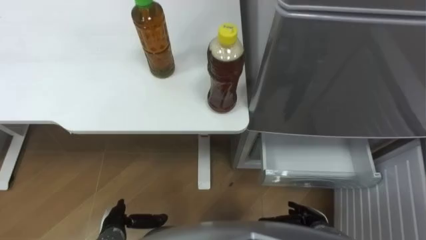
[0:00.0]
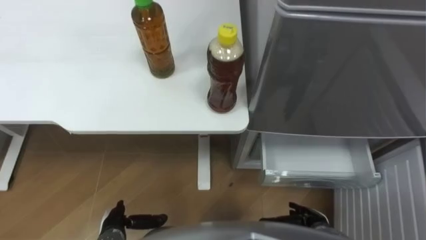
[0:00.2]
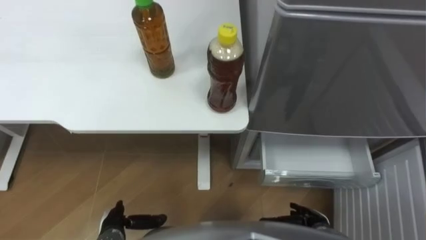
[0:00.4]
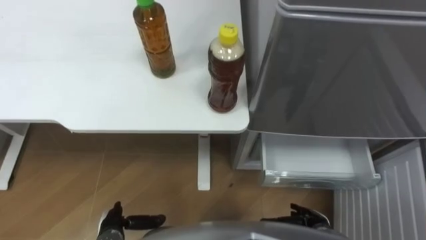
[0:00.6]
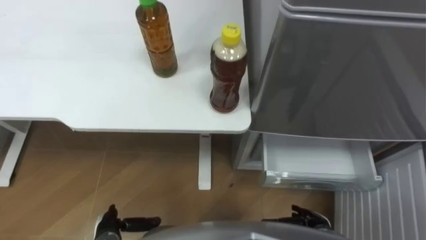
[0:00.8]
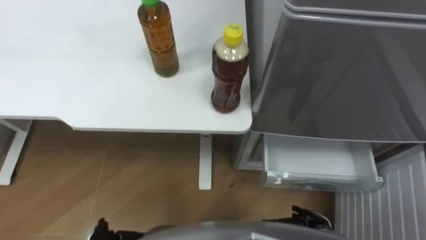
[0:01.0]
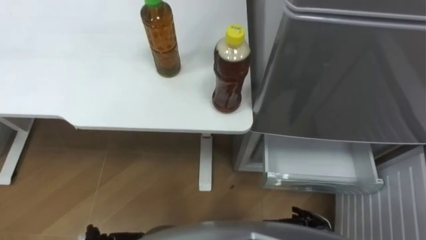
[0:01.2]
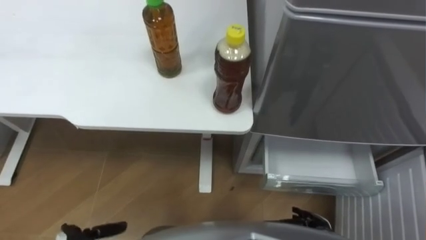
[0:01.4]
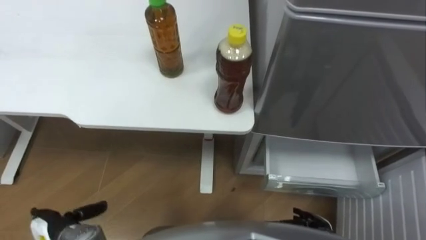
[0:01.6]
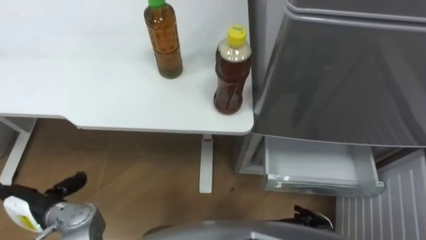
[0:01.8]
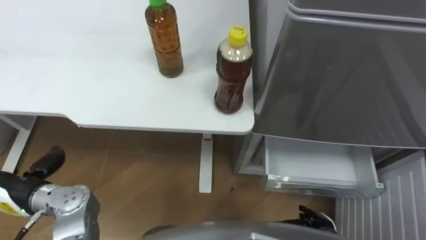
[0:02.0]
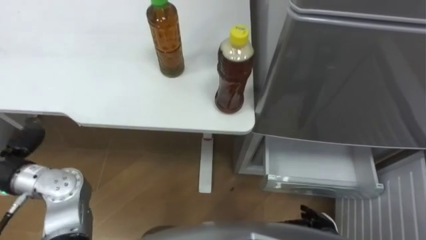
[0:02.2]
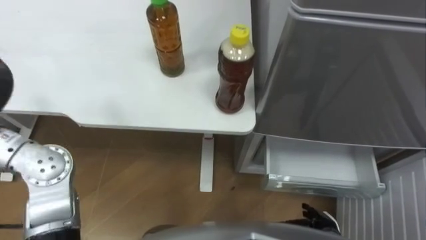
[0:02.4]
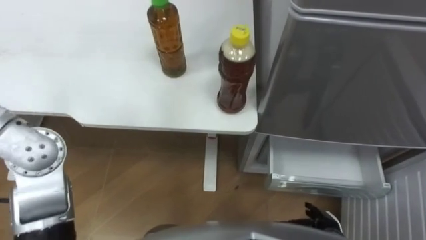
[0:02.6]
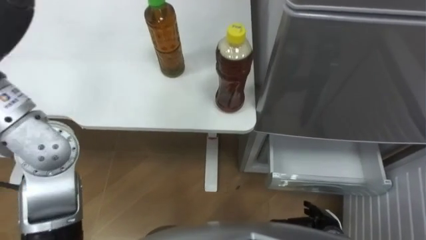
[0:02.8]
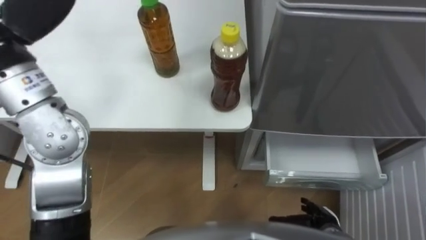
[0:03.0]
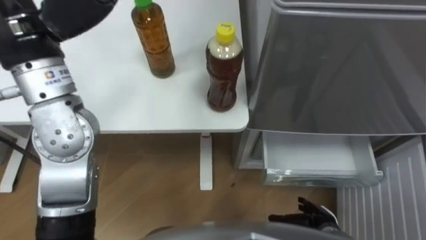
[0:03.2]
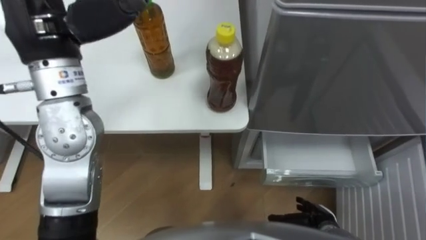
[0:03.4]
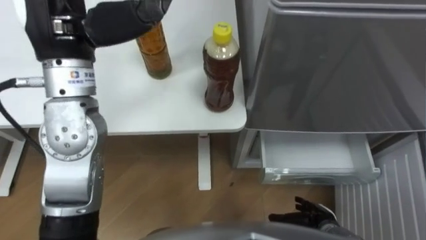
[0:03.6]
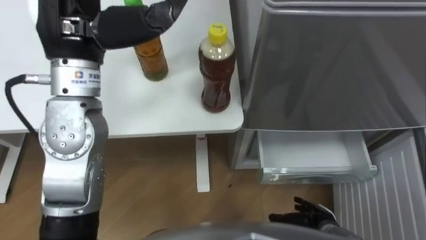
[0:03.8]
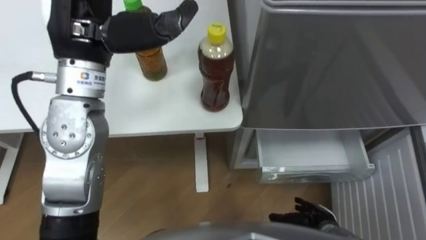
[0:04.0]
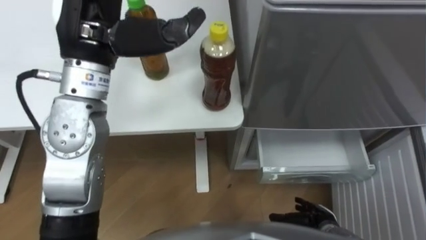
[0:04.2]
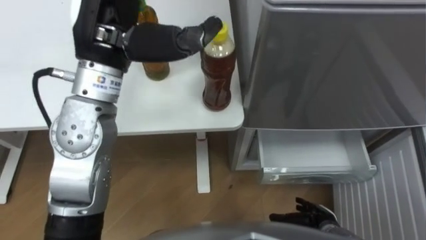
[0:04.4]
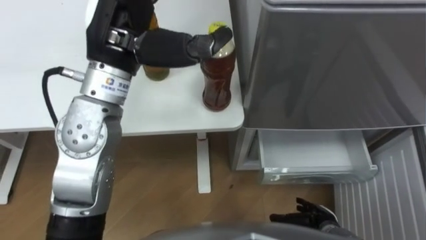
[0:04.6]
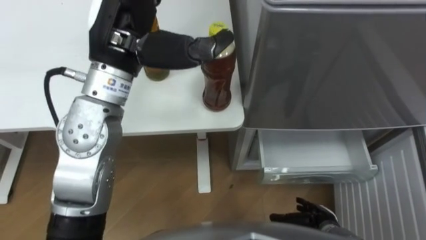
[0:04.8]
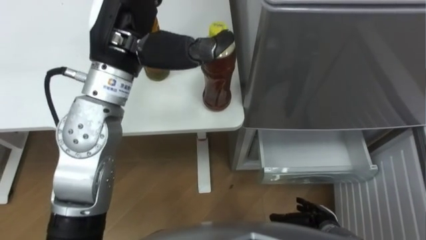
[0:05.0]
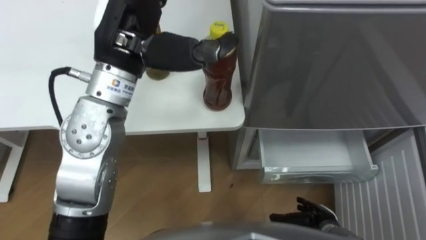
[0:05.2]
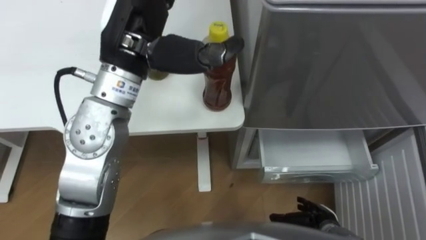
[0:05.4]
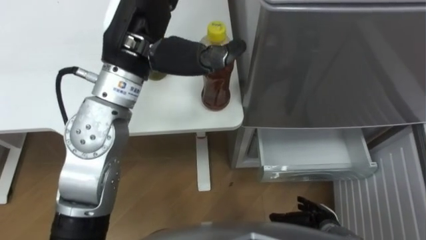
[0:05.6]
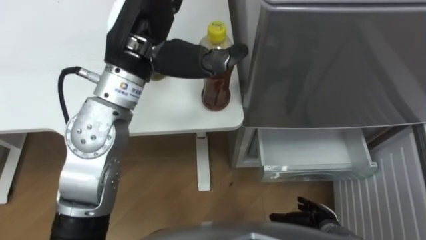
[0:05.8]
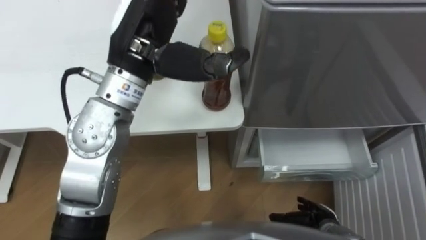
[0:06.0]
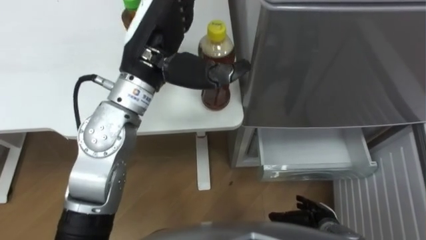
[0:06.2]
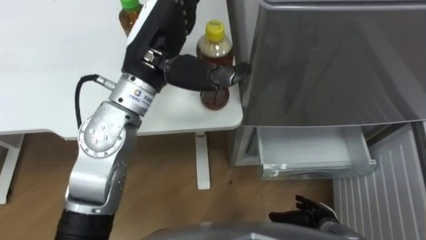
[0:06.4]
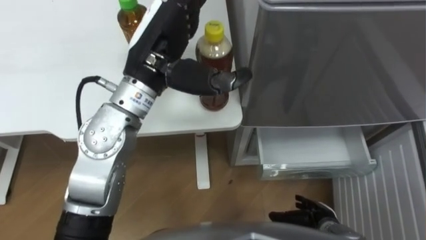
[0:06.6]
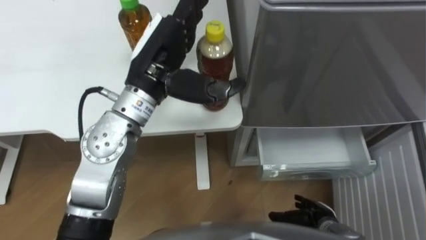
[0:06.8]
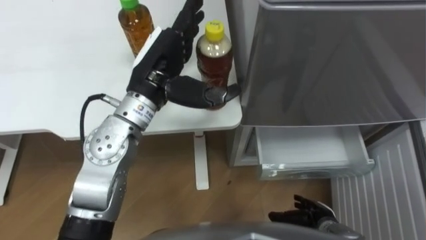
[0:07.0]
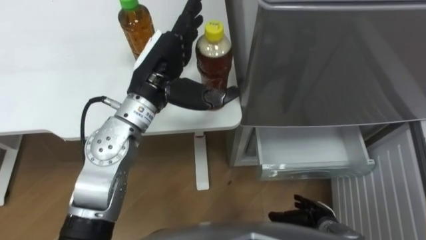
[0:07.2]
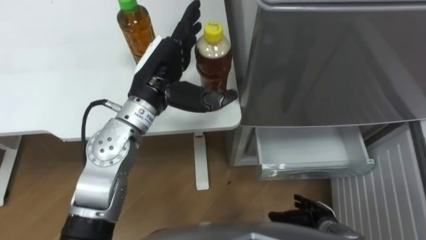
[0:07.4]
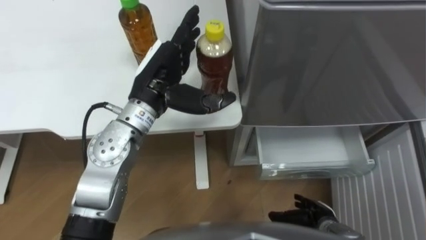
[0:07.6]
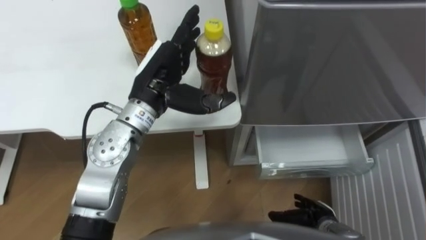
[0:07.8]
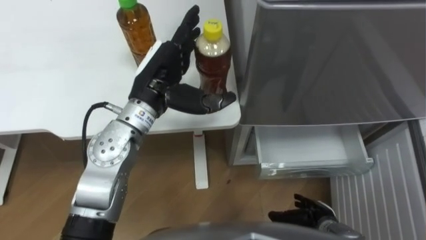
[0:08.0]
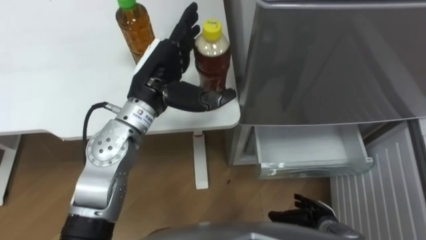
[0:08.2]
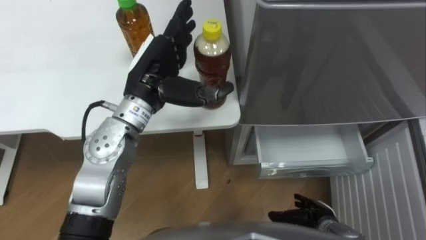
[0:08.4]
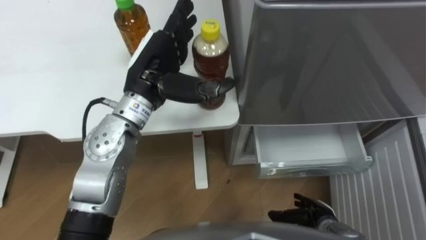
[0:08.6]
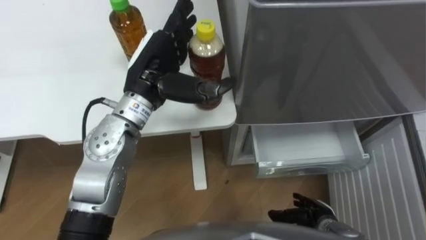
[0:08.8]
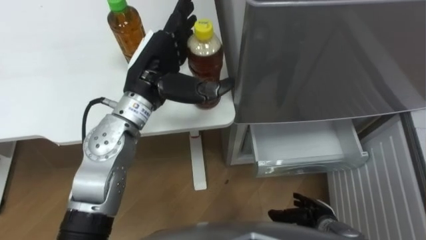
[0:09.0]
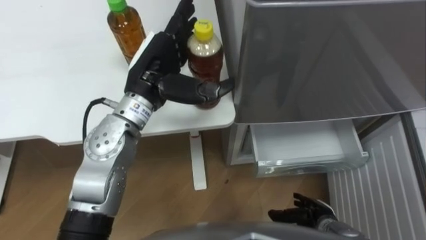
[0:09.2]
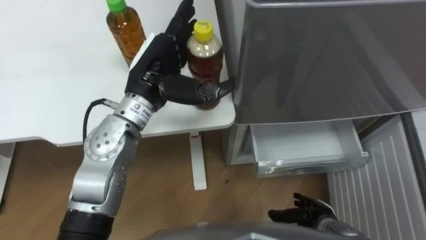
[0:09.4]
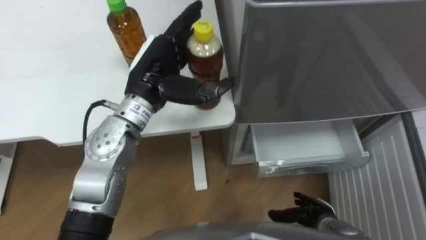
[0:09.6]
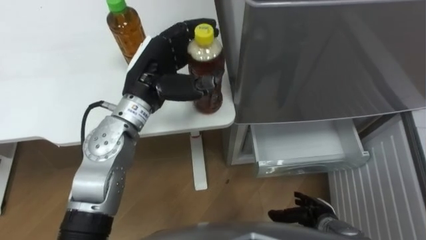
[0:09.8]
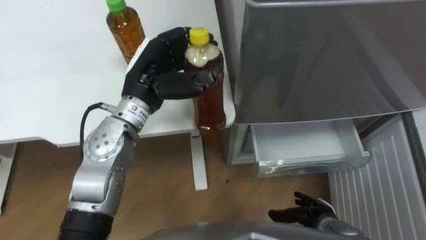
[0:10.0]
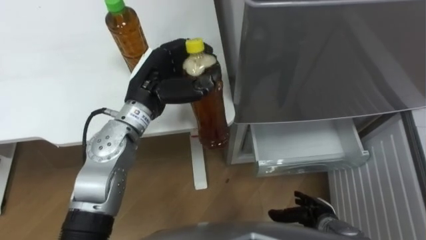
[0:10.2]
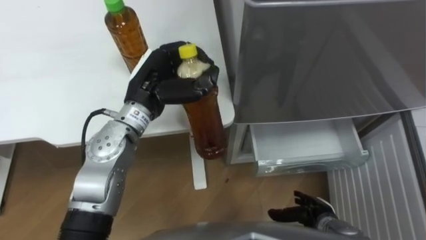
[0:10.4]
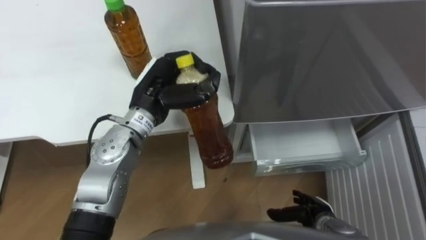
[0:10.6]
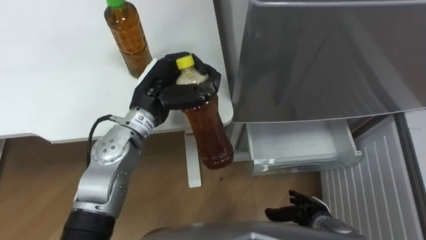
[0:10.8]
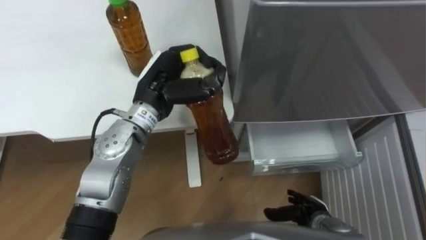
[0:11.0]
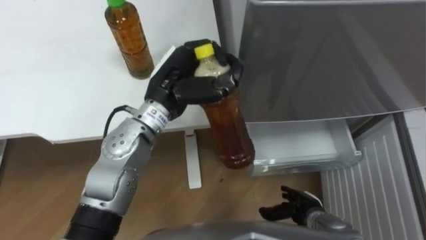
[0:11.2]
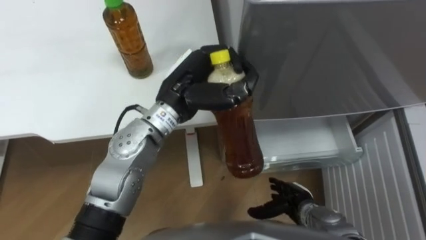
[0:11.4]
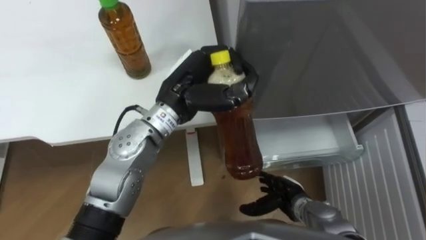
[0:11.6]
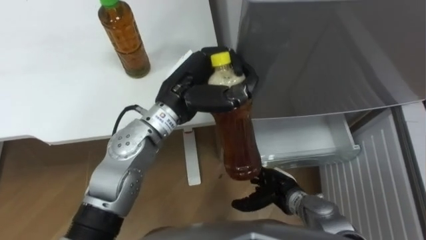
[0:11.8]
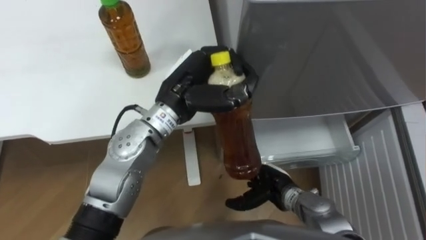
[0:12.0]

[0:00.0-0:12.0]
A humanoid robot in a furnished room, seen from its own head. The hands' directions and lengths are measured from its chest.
Task of the whole recording: Place the drink on the table on the bottom shelf of the refrigerator, then close the drawer and the refrigerator door.
0:04.4 to 0:06.0: The hands stay close to where they were, moving slightly.
0:06.0 to 0:07.6: The left hand goes some 10 cm downward.
0:09.0 to 0:10.4: The left hand closes its fingers.
0:10.4 to 0:12.0: The right hand shifts about 10 cm to the left and forward. Meanwhile the left hand travels to the right by roughly 5 cm.

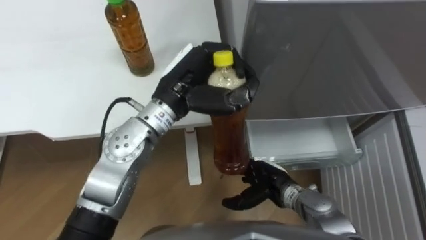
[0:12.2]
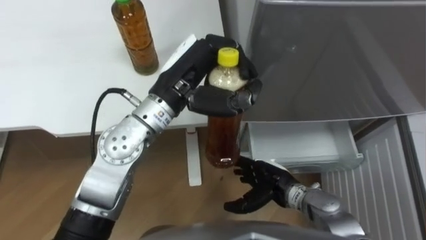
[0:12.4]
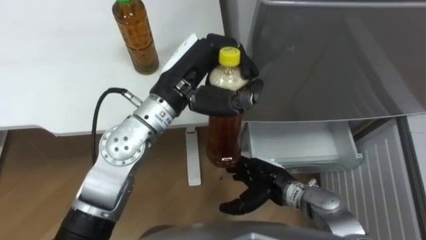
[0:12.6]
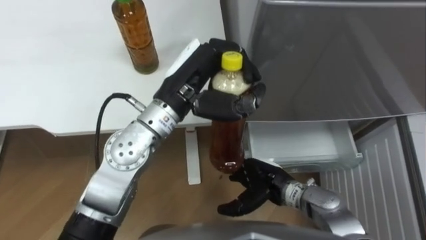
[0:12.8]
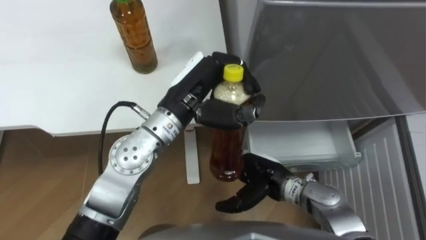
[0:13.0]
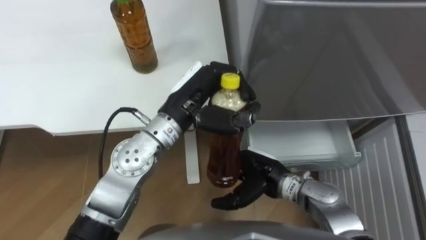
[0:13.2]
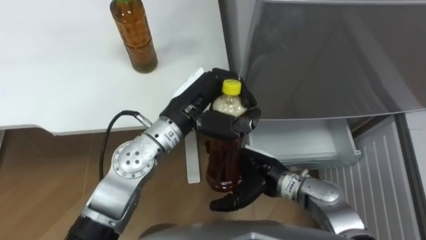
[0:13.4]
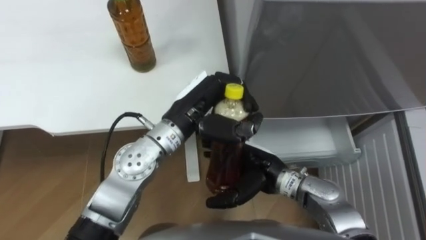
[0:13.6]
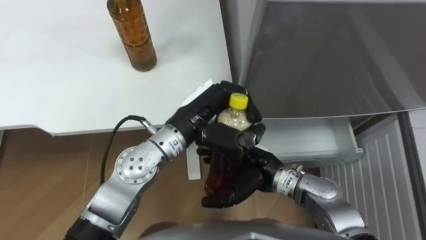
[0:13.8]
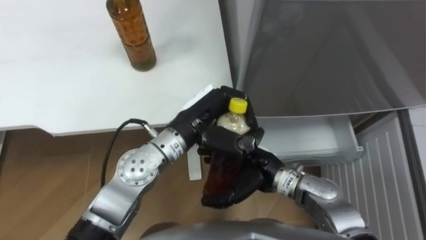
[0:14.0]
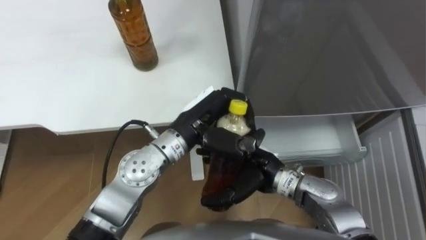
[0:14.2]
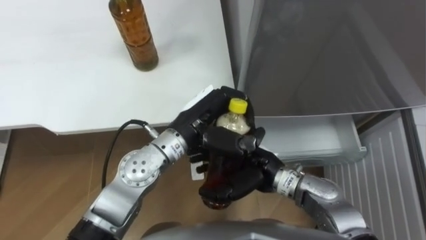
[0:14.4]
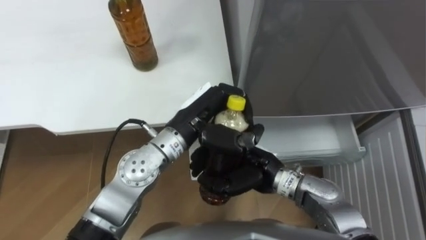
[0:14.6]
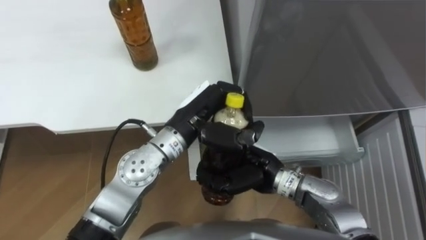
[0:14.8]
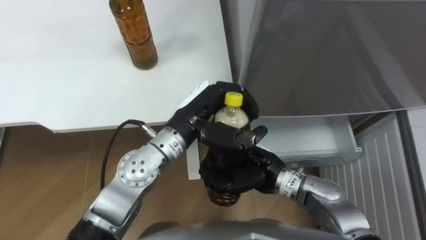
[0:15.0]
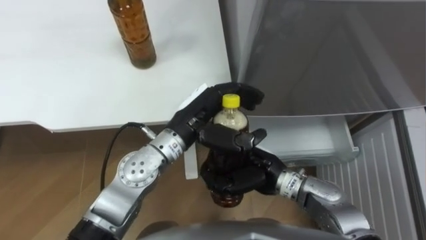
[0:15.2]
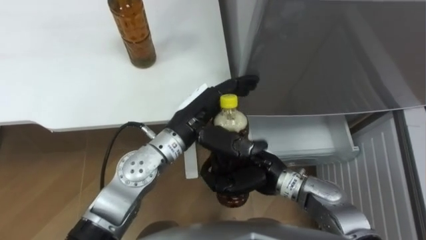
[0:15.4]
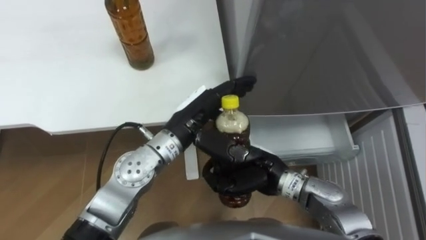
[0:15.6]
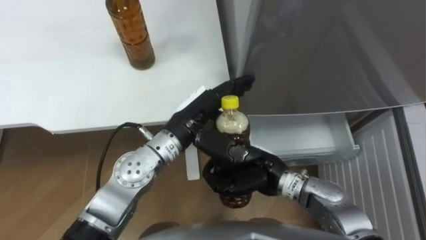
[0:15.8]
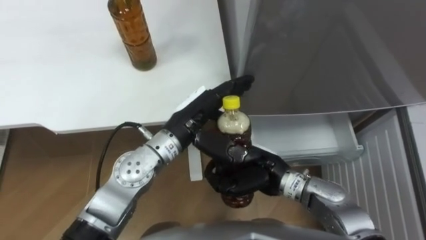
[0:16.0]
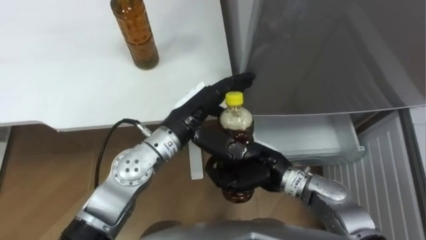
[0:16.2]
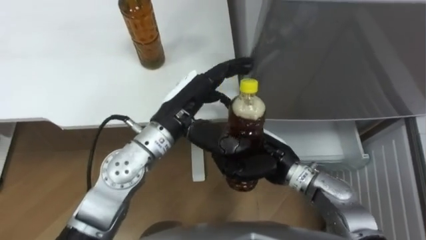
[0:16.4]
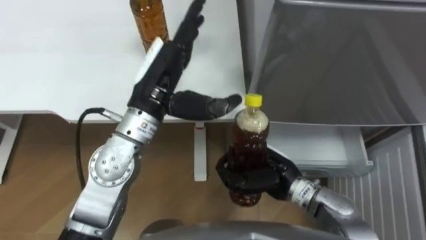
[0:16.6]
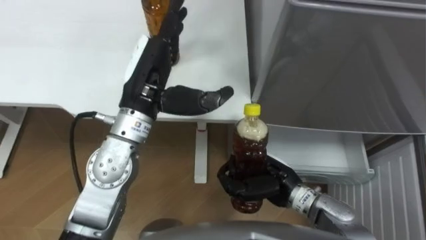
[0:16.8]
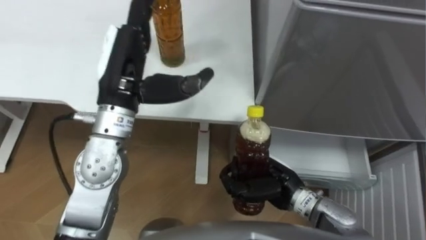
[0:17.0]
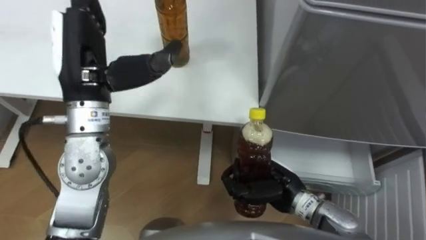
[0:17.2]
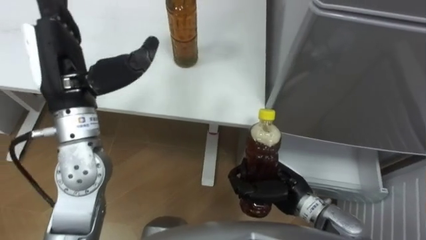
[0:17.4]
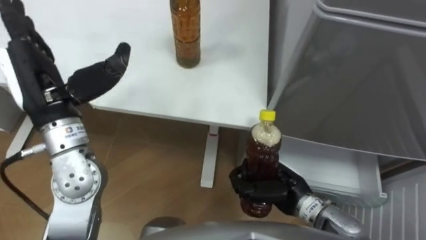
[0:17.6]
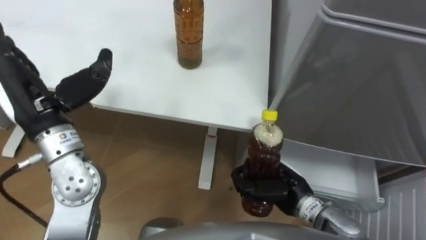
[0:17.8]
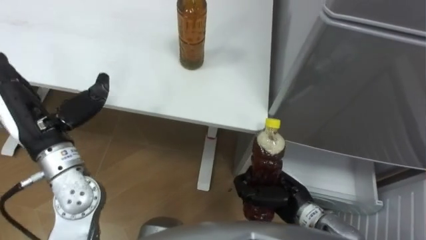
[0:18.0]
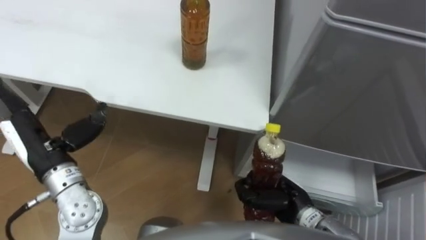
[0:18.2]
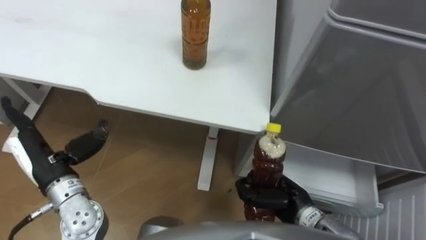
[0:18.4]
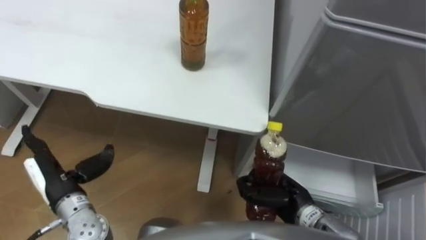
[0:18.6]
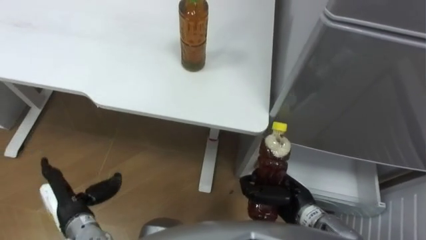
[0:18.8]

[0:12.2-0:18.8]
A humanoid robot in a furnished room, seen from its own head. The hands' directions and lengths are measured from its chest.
Task of the whole recording: Place the drink on the table on the bottom shelf of the refrigerator, then close the drawer and the refrigerator door.
0:12.2 to 0:13.8: The left hand ends up about 5 cm from where it was. The right hand is displaced upward by approximately 10 cm.
0:13.8 to 0:15.4: The left hand opens up. The right hand closes.
0:15.4 to 0:17.2: The right hand moves approximately 5 cm, while the left hand heads to the left and upward, covering about 20 cm.
0:17.2 to 0:18.8: The left hand travels downward, backward and to the left by roughly 30 cm; the right hand moves roughly 5 cm.
